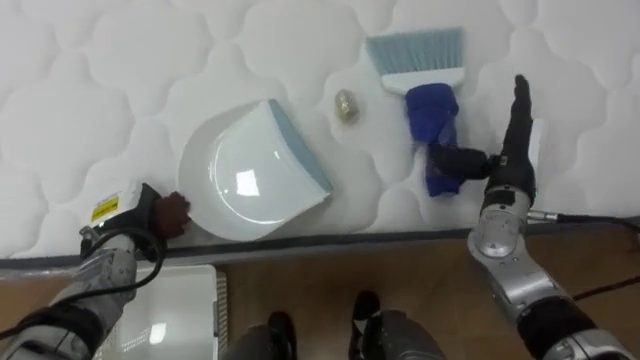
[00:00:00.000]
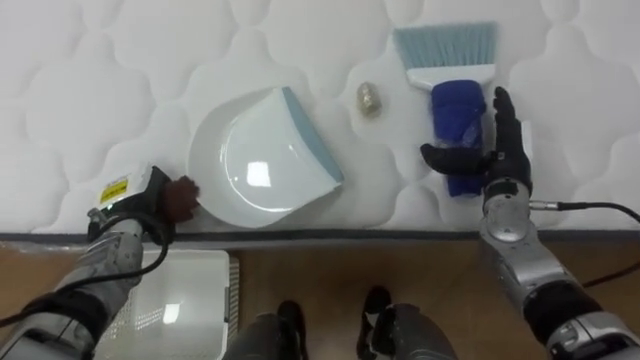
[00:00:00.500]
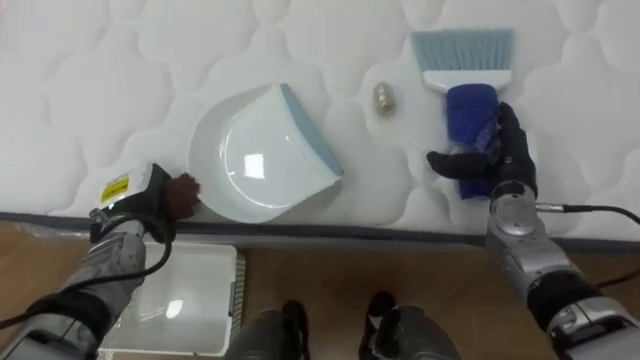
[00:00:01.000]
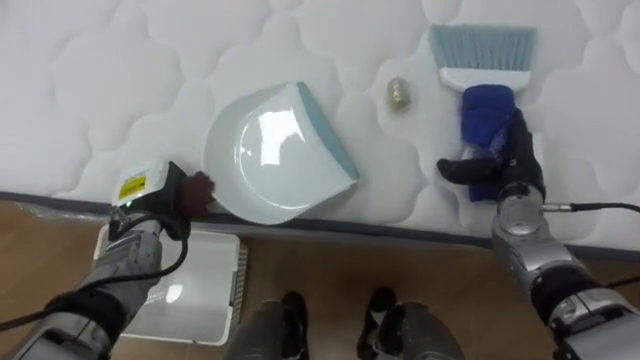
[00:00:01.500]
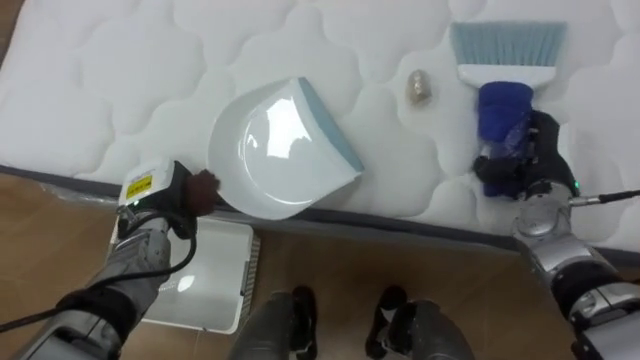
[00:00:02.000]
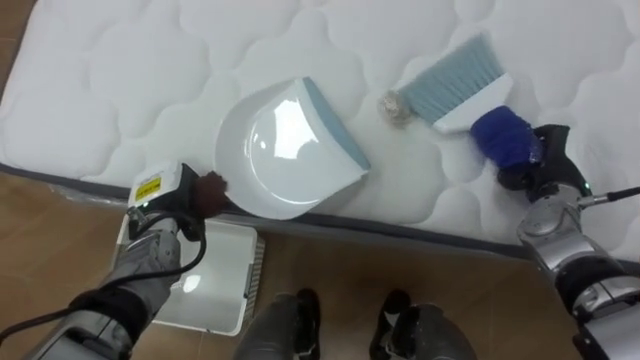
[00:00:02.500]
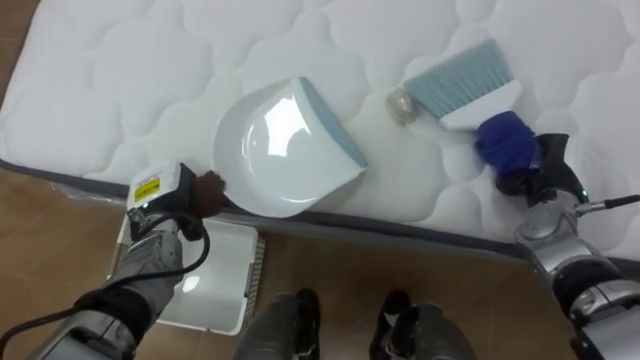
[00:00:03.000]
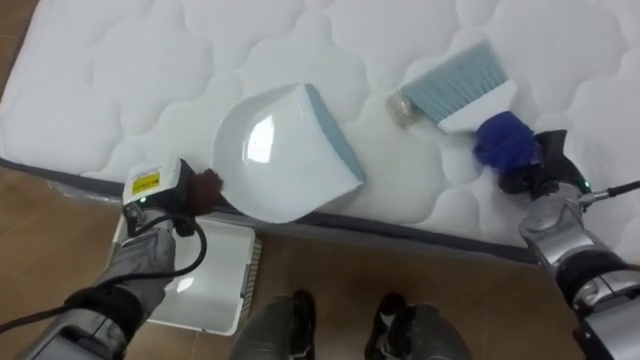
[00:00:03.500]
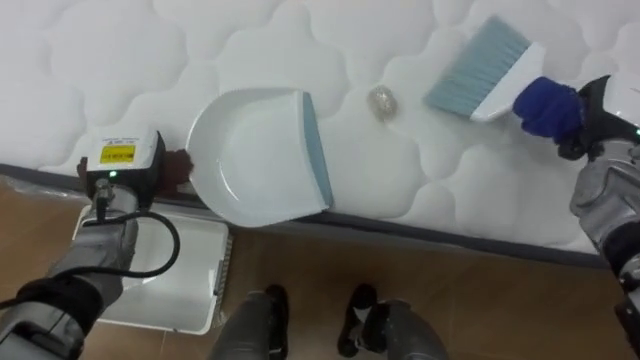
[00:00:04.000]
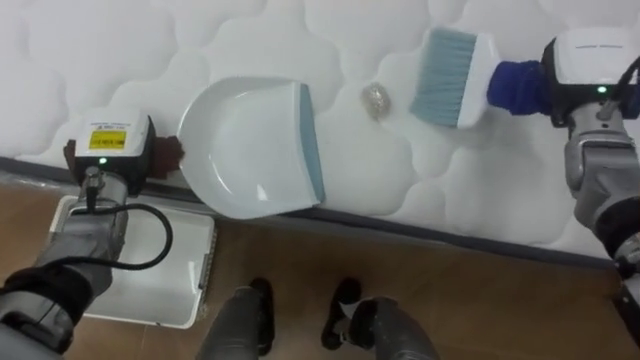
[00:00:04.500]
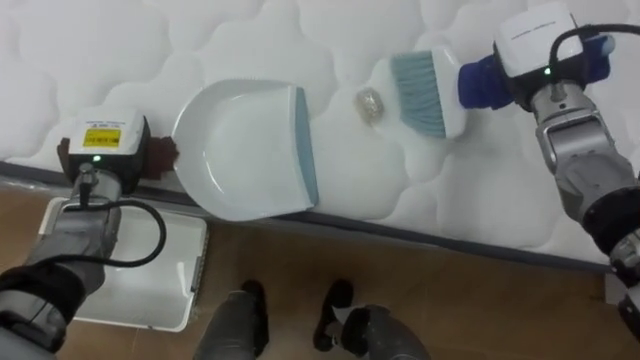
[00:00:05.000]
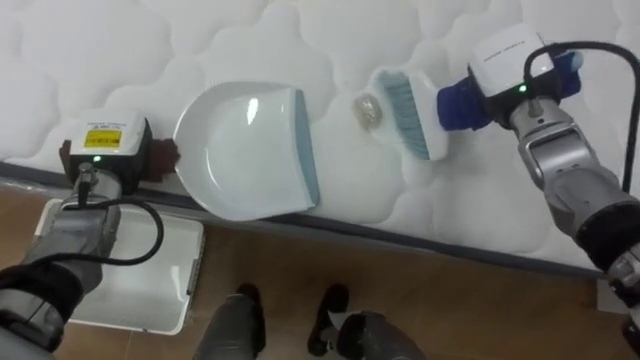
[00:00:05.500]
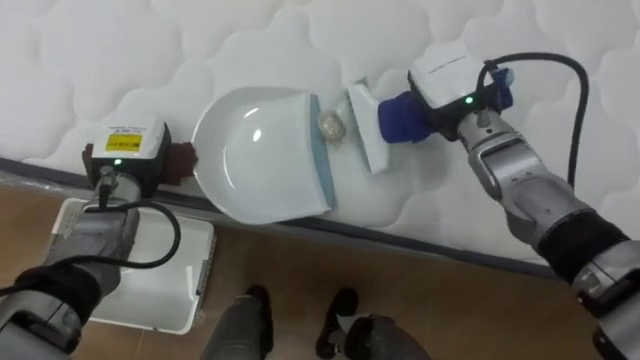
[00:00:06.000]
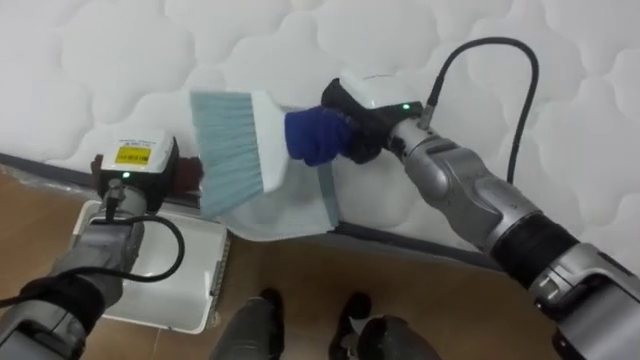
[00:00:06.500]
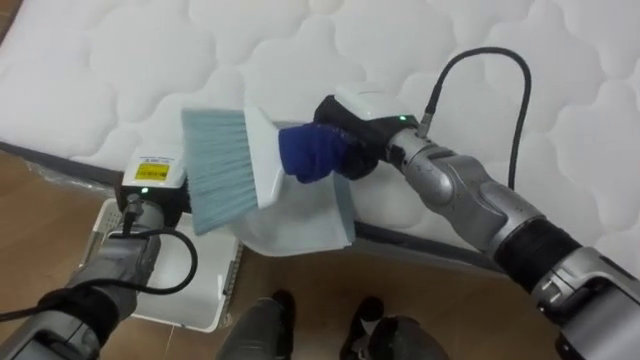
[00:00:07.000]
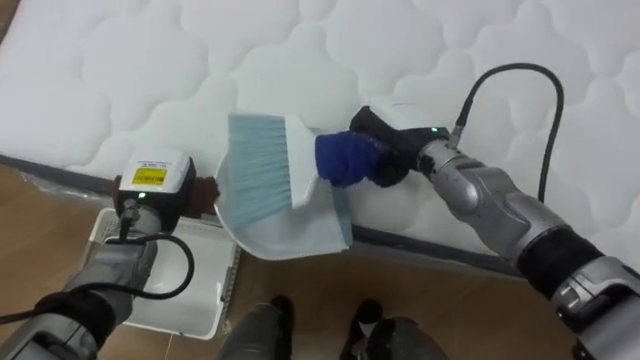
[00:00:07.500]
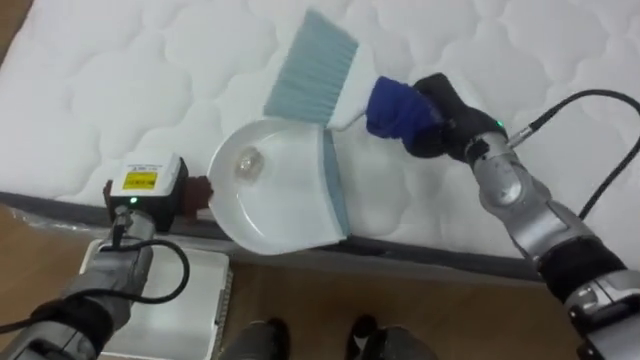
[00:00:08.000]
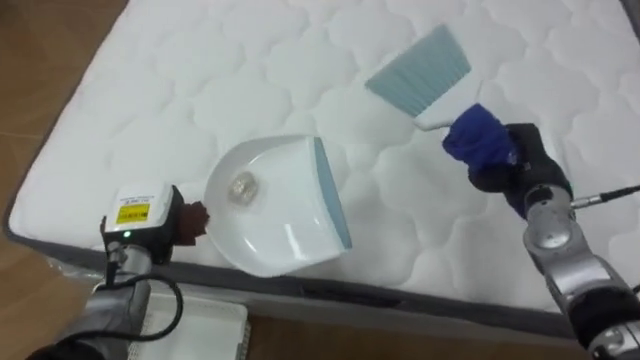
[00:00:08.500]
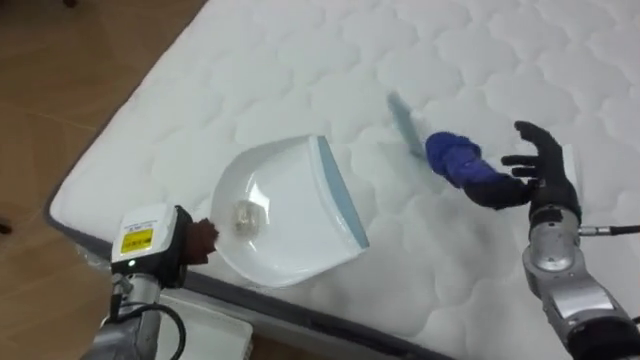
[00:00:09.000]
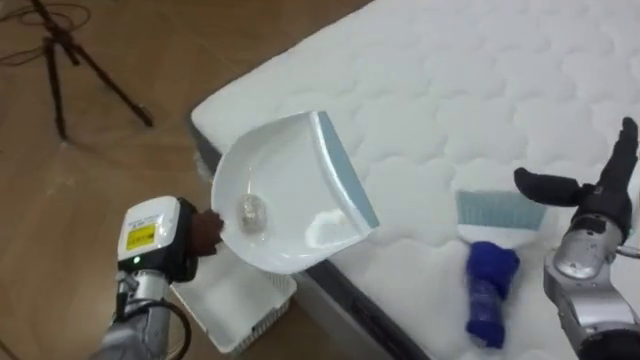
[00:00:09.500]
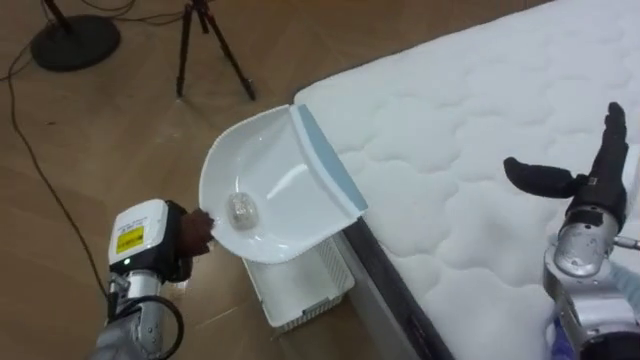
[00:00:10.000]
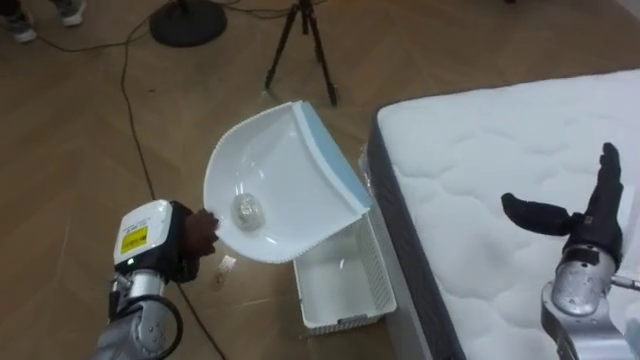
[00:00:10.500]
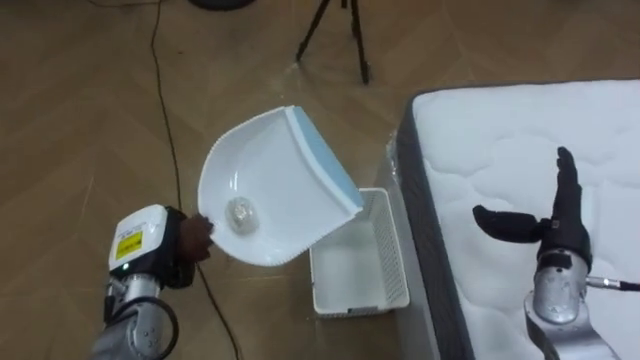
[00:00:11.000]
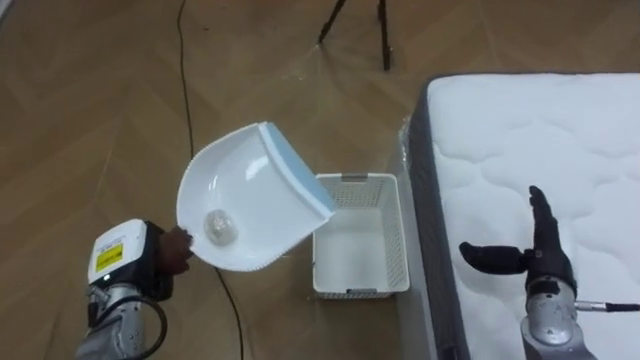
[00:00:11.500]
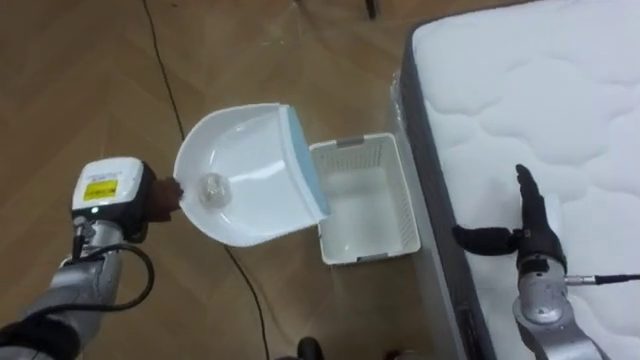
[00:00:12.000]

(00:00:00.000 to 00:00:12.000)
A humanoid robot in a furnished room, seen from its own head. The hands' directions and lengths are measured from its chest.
Task of the whole recording: Pick up the brush on your right and the dustpan on your left. Use the brush to sweep the crumpled paper on the bed into the dustpan, then turn left and empty it into the basket.
00:00:00.000 - 00:00:02.000: The right hand shifts approximately 5 cm to the right; the left hand shifts by approximately 5 cm.
00:00:02.000 - 00:00:04.000: The right hand is displaced upward and to the right by about 10 cm, and closes up. The left hand moves upward, some 5 cm.
00:00:04.000 - 00:00:06.000: The right hand travels to the left by about 20 cm.
00:00:06.000 - 00:00:08.000: The left hand changes place by about 5 cm. Meanwhile the right hand moves roughly 10 cm to the left and comes back.
00:00:08.000 - 00:00:10.000: The robot faces approximately 60 degrees further to its left. The right hand goes about 20 cm to the right and backward, and opens its fingers. Meanwhile the left hand heads backward, covering about 5 cm.
00:00:10.000 - 00:00:12.000: The robot faces some 25 degrees further to its left. The right hand heads downward and to the left, covering roughly 10 cm. The left hand shifts by approximately 5 cm.

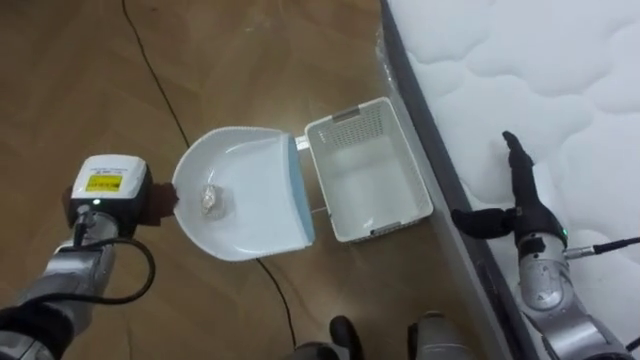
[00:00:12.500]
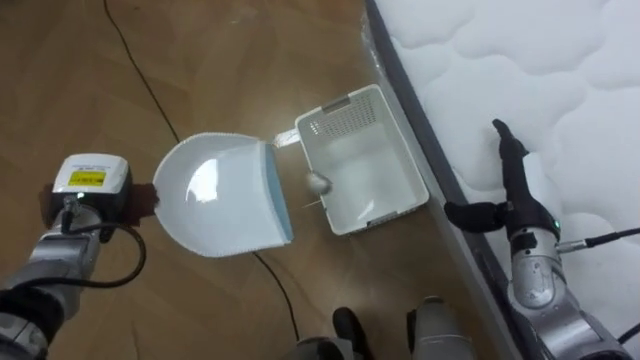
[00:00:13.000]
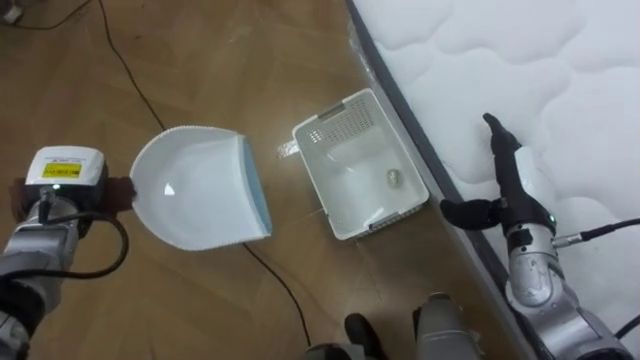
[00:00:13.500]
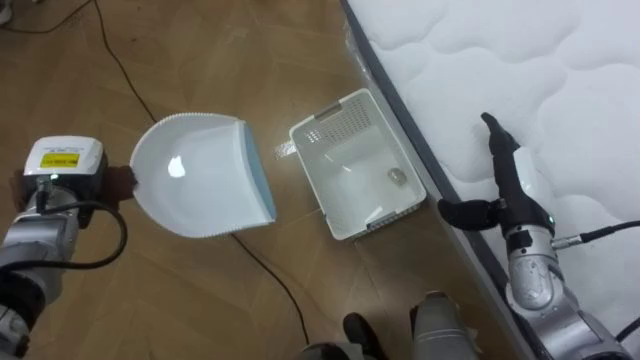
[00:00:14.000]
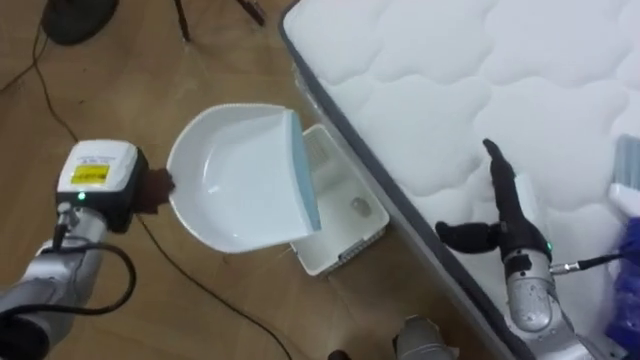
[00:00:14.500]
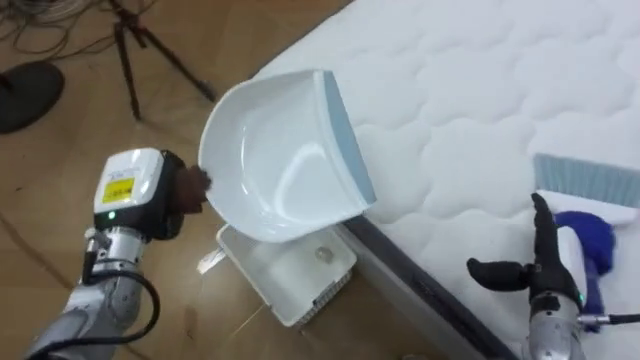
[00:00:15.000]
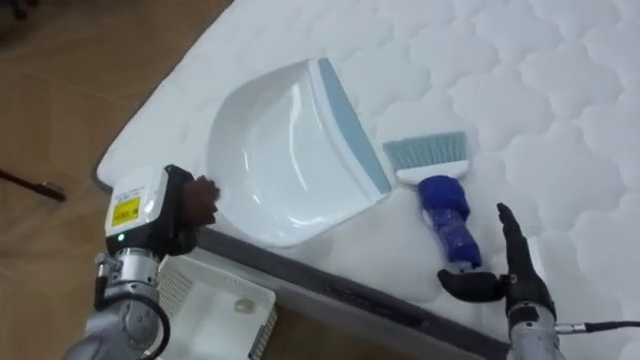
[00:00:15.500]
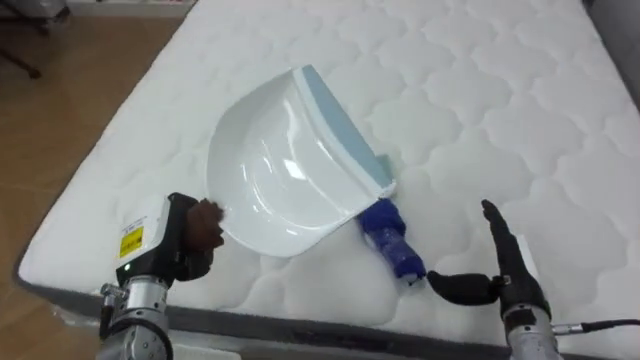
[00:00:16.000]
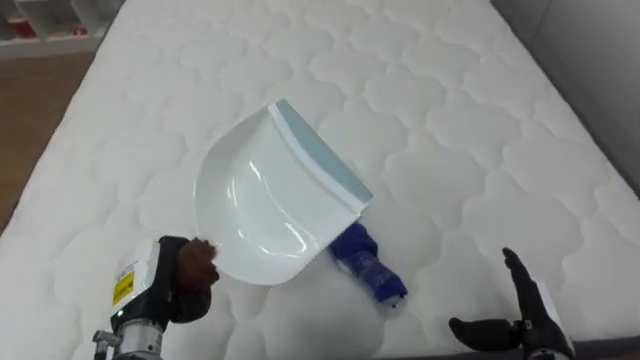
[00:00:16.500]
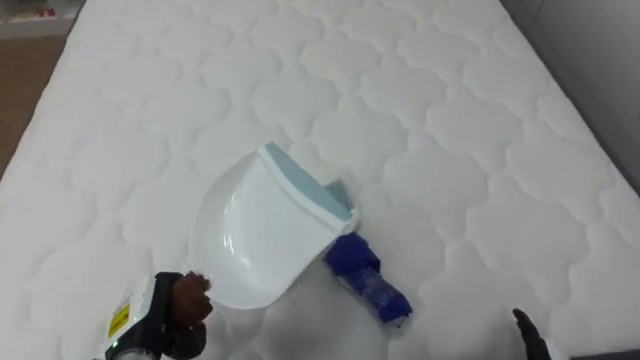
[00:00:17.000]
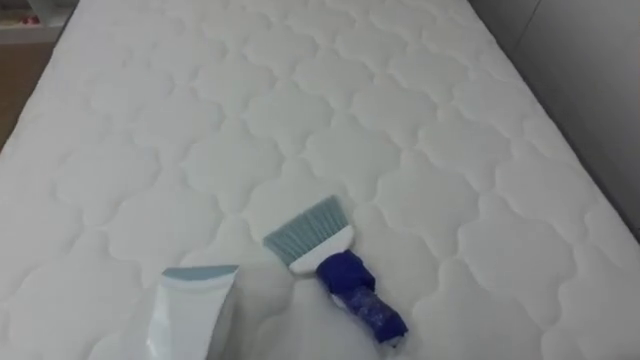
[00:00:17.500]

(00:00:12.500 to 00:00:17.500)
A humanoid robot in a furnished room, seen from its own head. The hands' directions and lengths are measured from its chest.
Task of the whole recording: Pick up the brush on your right and the dustpan on your left. Use the brush to sweep the crumpled paper on the bed into the dustpan, then turn left and empty it into the basket.
00:00:12.500 - 00:00:15.000: The robot turns to its right by some 30 degrees. The right hand travels backward and downward by some 10 cm; the left hand changes place by some 5 cm.
00:00:15.000 - 00:00:17.500: The robot faces roughly 60 degrees further to its right.

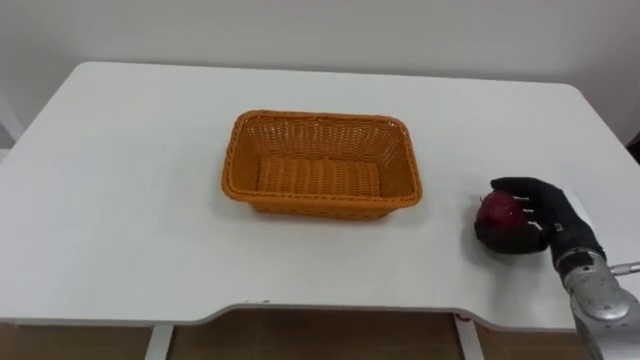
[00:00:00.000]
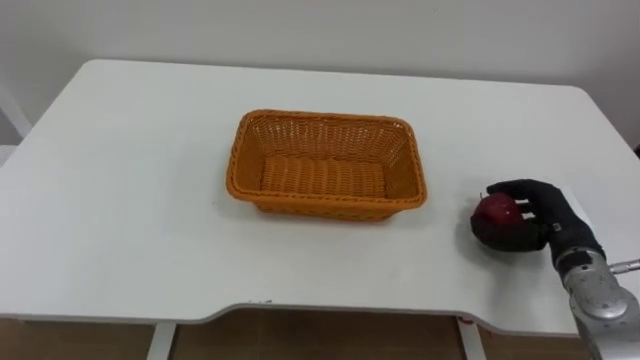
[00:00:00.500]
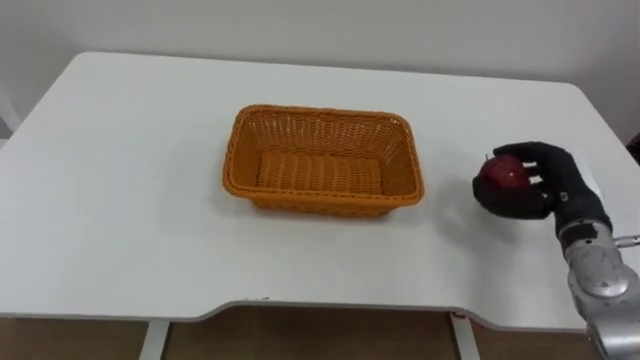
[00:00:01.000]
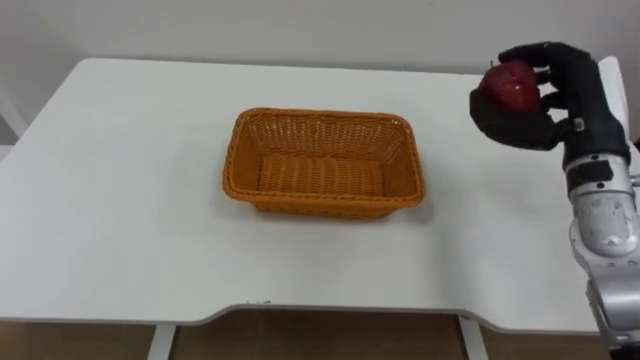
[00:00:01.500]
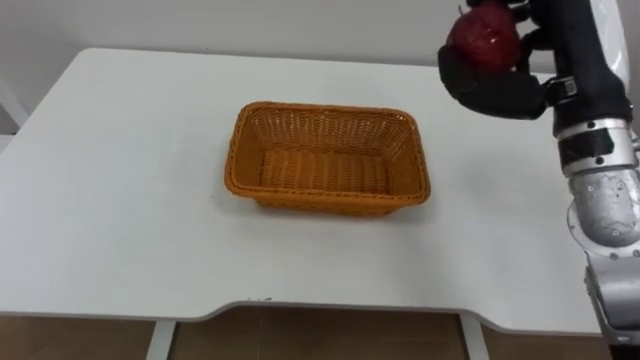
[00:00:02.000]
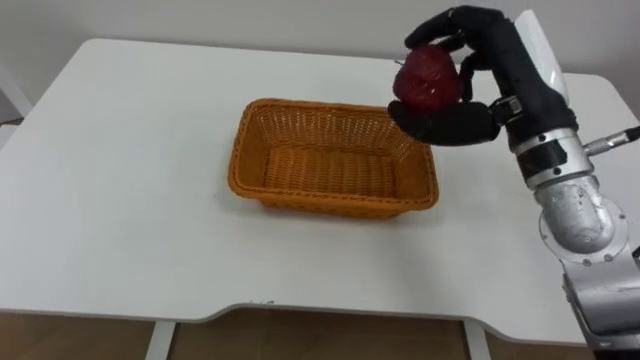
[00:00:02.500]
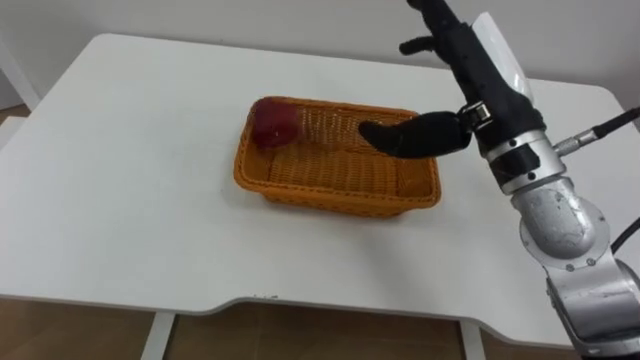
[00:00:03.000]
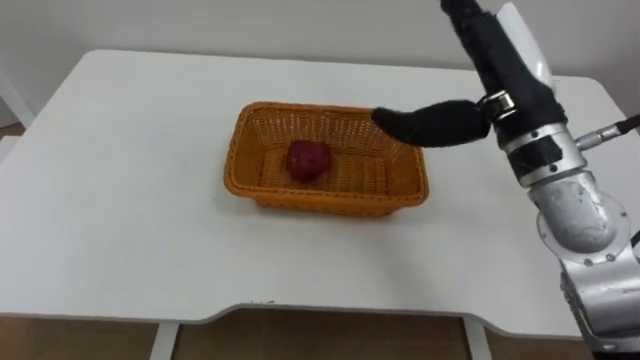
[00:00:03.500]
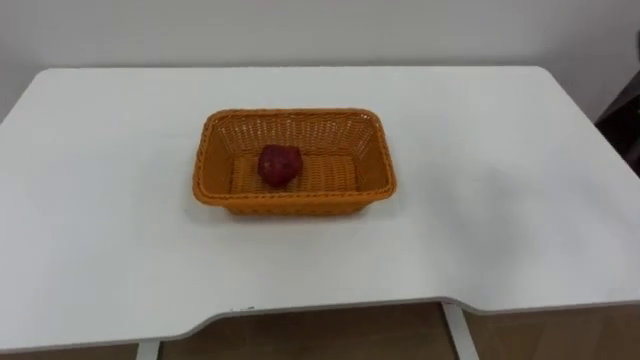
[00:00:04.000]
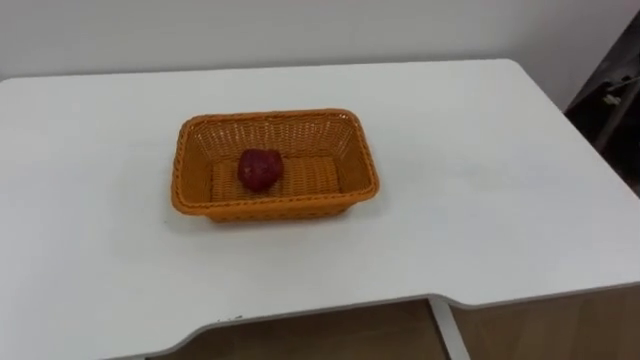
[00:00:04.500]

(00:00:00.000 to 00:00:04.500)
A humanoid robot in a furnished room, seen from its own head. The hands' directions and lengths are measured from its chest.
Task of the whole recording: Pick the apple and place it in the box.
00:00:00.000 - 00:00:02.000: The right hand goes approximately 25 cm upward.
